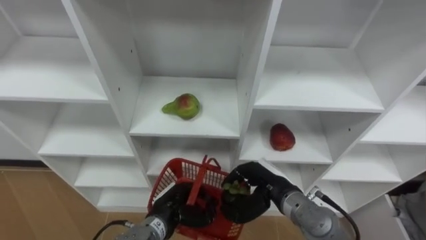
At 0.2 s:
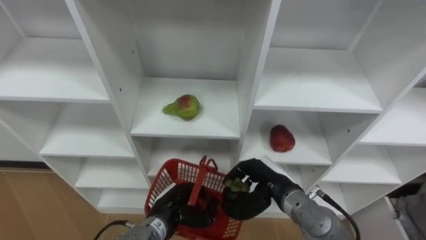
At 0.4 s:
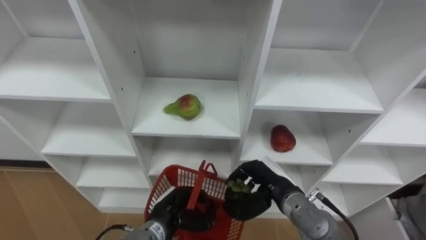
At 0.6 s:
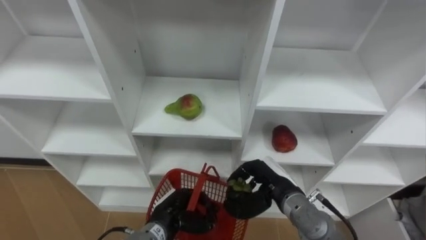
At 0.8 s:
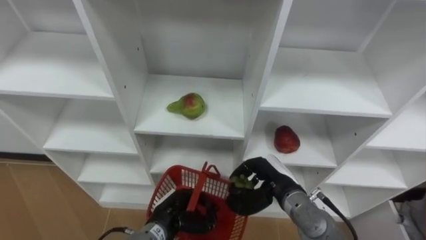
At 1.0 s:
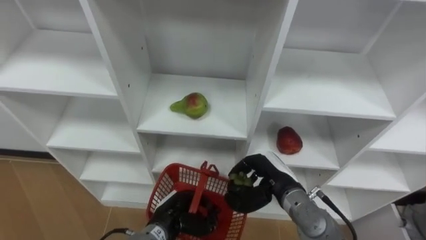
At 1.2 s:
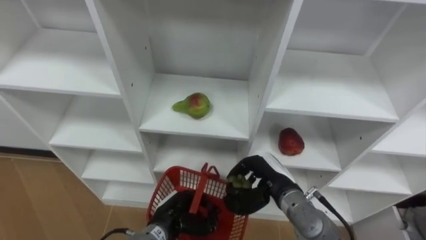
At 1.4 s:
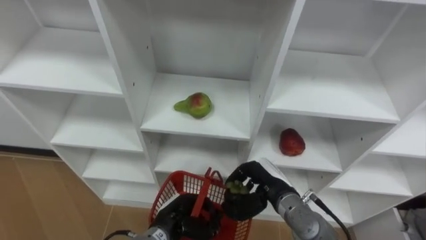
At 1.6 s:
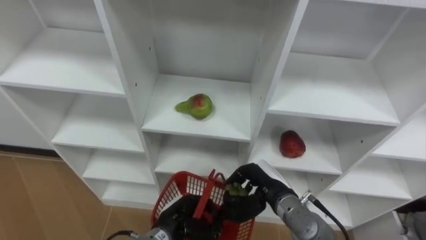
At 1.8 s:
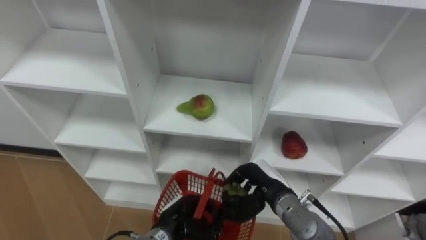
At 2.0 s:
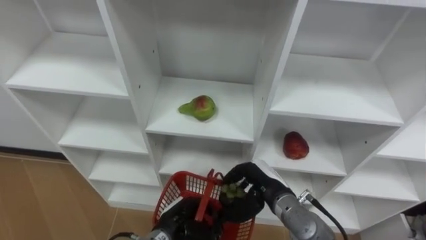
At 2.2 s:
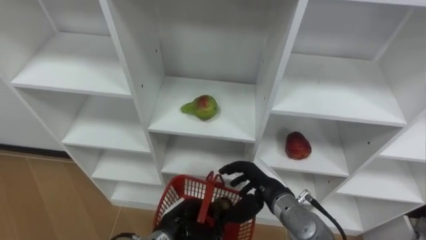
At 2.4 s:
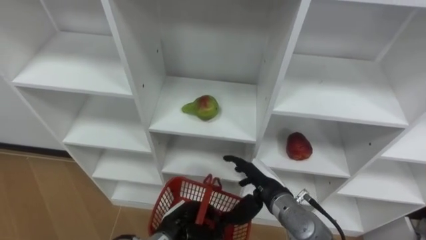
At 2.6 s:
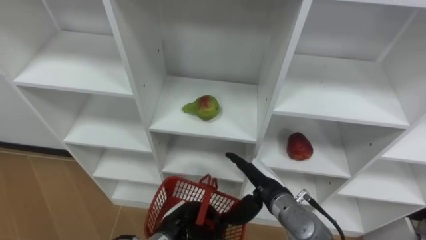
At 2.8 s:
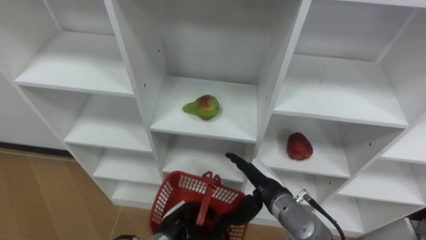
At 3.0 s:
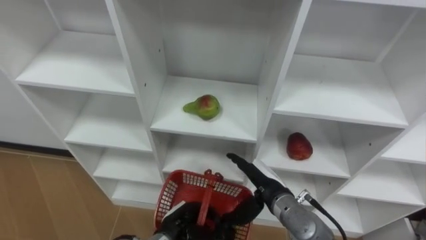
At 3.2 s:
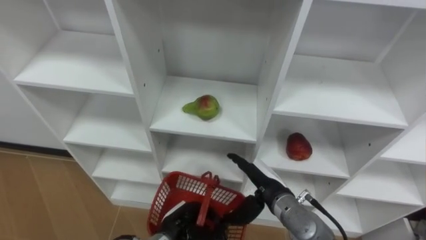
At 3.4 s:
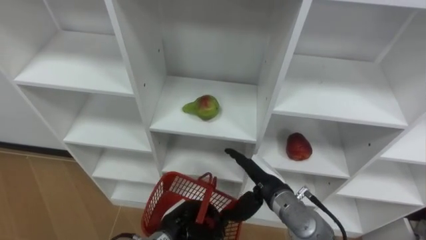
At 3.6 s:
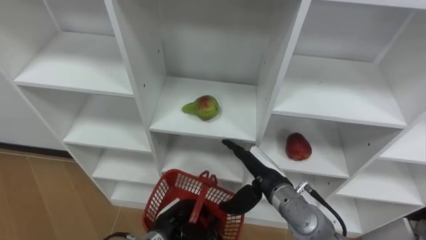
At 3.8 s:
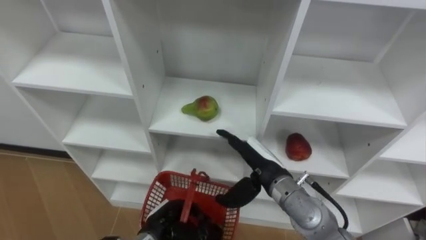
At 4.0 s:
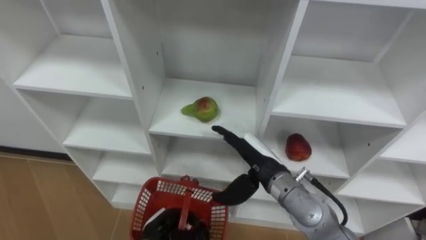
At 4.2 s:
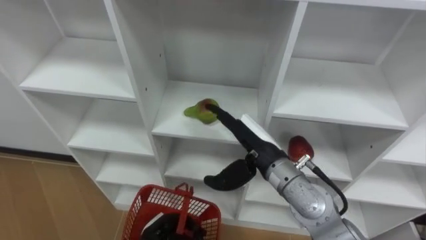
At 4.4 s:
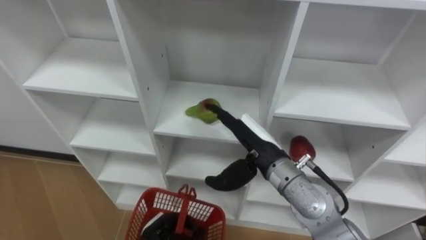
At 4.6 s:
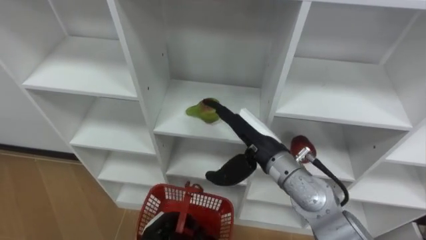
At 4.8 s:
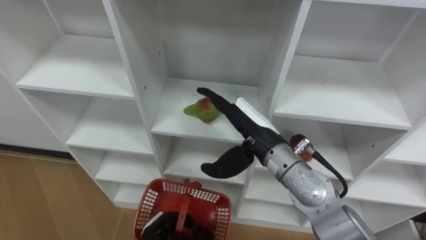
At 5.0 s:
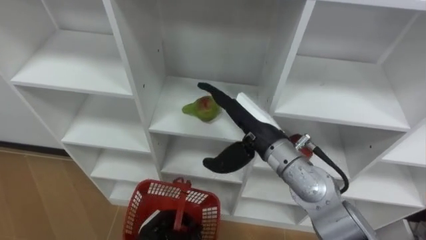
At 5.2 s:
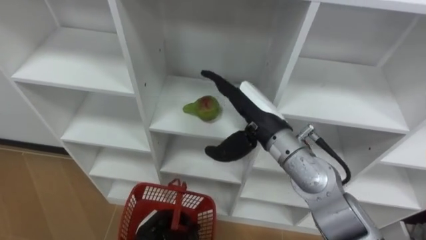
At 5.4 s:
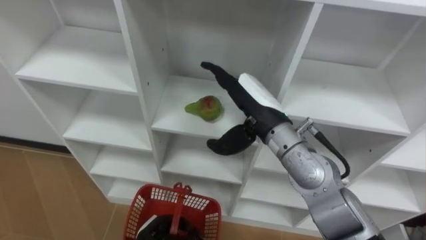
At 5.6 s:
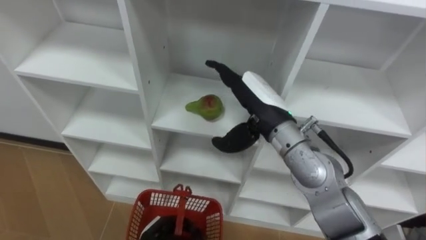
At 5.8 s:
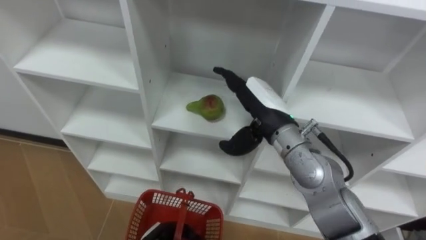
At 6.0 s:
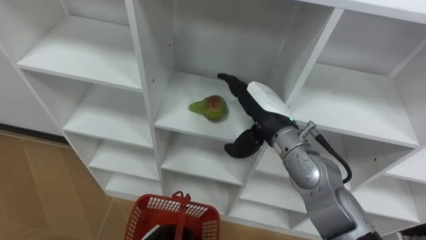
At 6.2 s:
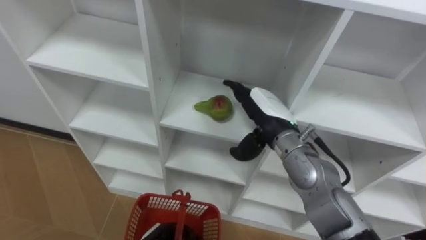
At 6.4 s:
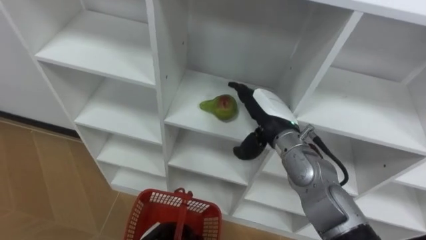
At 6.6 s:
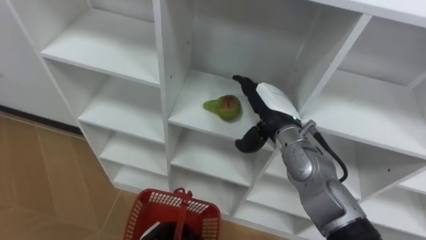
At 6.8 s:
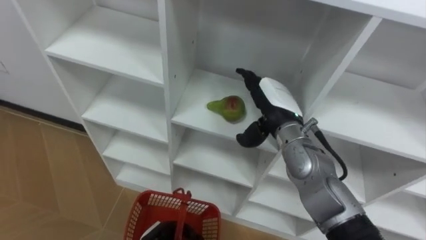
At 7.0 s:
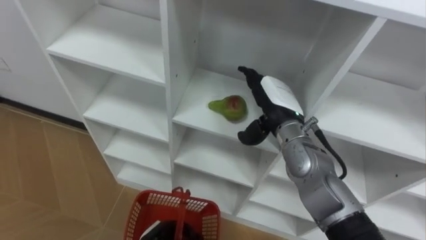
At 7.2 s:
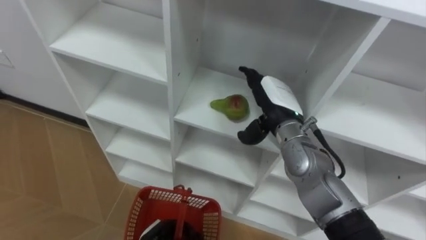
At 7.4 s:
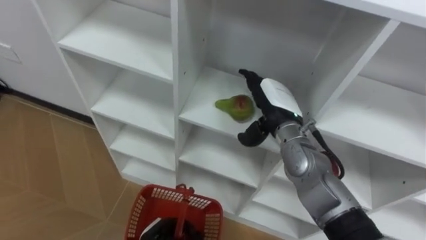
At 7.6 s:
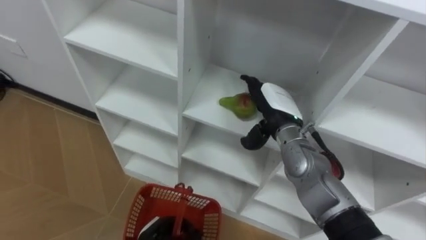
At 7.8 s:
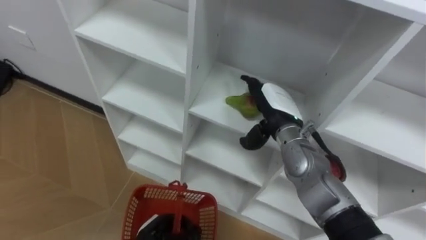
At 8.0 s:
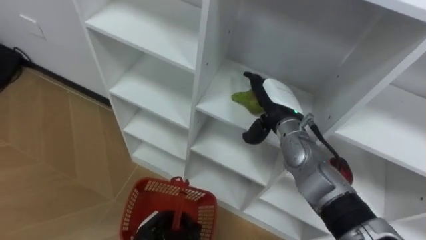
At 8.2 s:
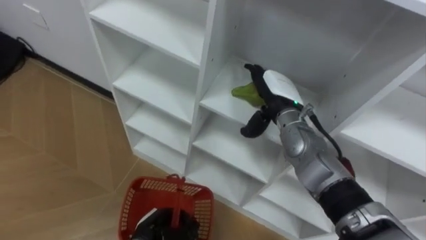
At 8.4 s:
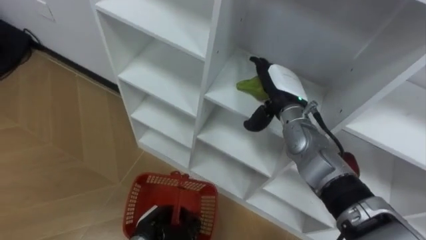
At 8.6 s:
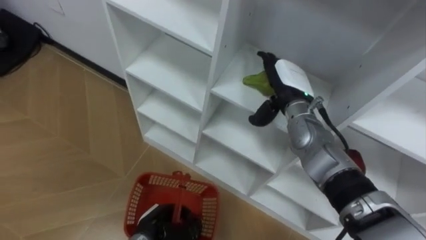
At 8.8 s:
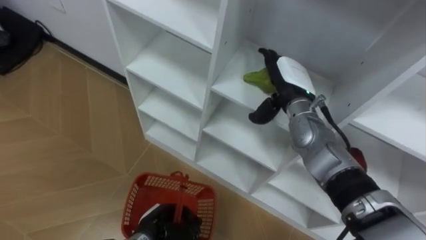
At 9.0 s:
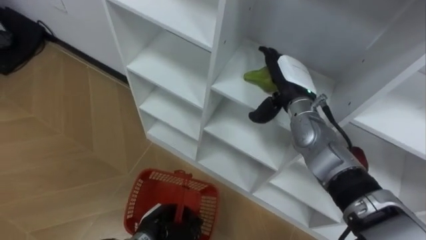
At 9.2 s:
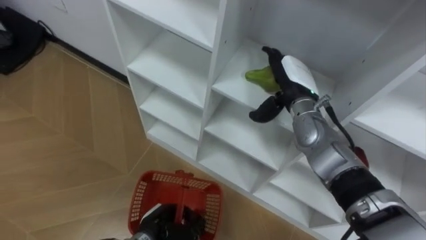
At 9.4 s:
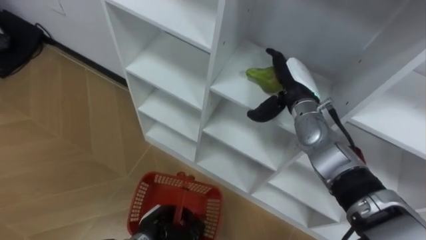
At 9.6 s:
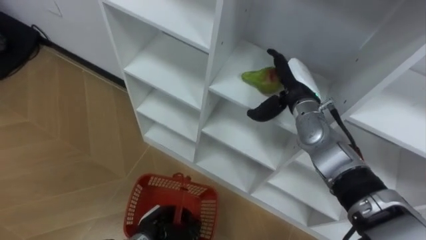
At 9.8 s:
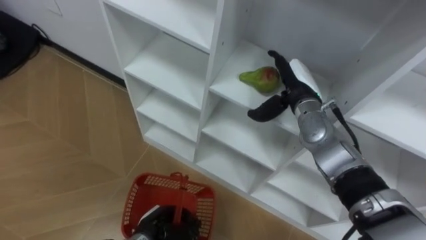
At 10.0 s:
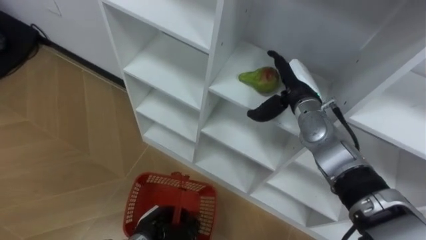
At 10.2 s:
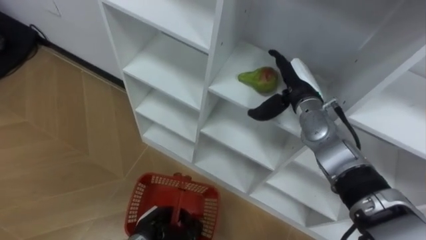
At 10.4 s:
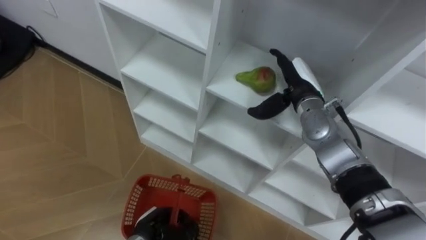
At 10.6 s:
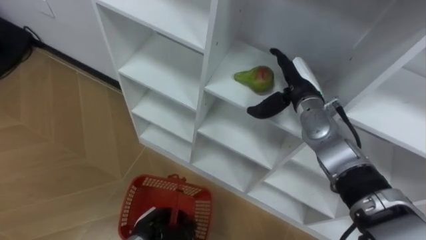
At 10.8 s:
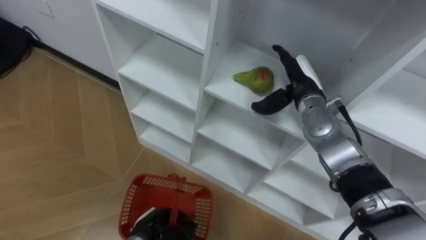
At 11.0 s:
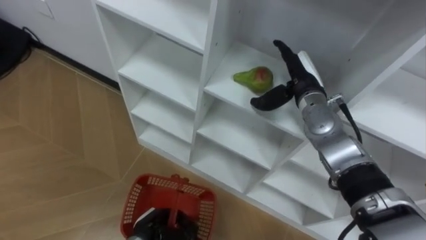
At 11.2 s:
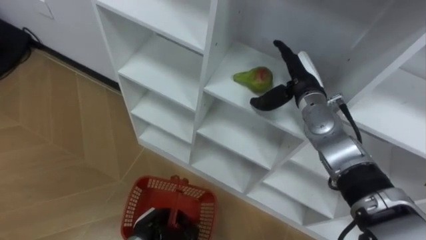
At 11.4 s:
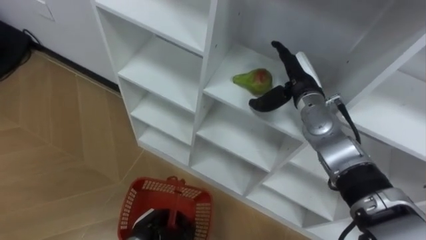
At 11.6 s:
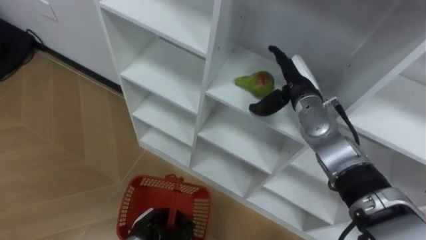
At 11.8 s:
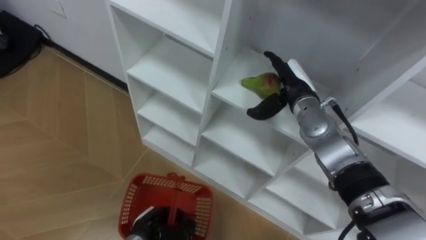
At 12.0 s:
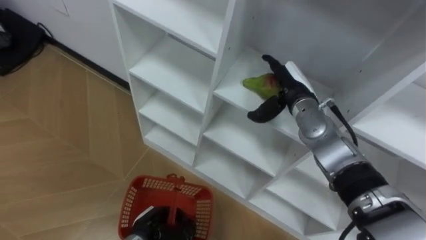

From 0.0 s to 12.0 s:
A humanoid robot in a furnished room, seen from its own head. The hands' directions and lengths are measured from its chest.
Task of the whole recording: Hold the basket and collect the fruits from 3 different cells of the closet into it.
From 1.6 s to 3.0 s: The right hand opens.
From 3.0 s to 4.4 s: The left hand ends up about 5 cm from where it was. Meanwhile the right hand moves upward, some 10 cm.
From 4.4 s to 6.0 s: The right hand changes place by roughly 5 cm.
From 6.0 s to 7.6 s: The right hand shifts by roughly 5 cm.
From 7.6 s to 9.0 s: The right hand moves roughly 5 cm.
From 9.0 s to 10.4 s: The hands make only small movements.

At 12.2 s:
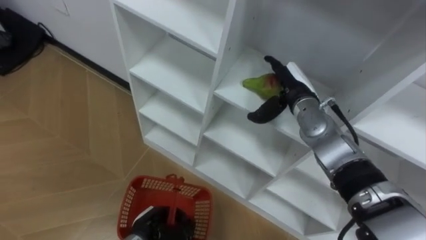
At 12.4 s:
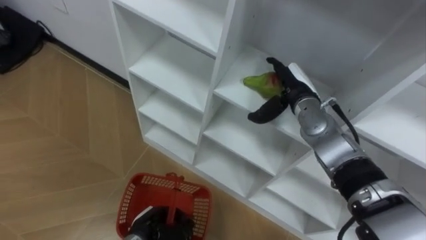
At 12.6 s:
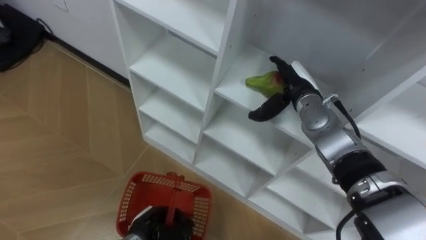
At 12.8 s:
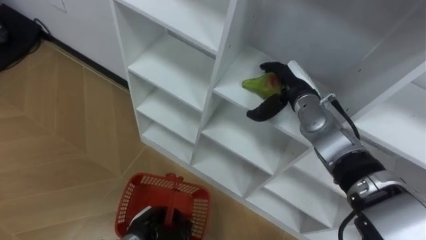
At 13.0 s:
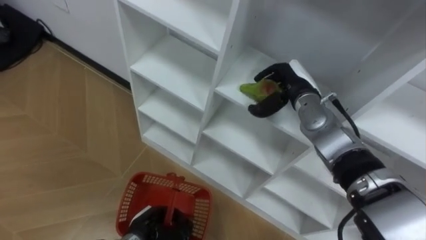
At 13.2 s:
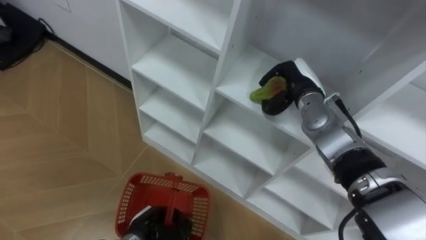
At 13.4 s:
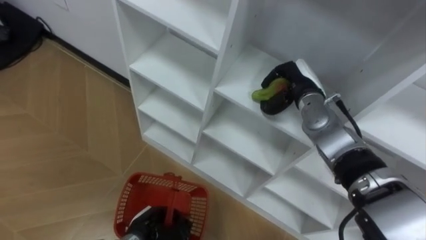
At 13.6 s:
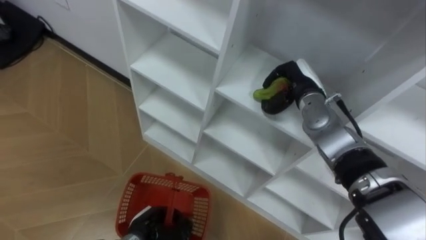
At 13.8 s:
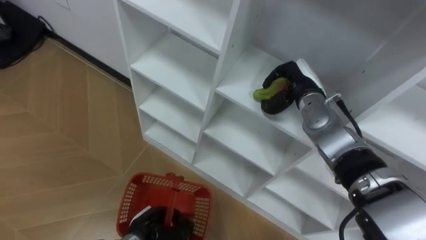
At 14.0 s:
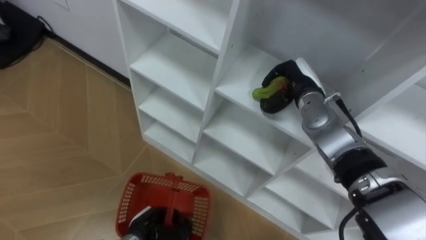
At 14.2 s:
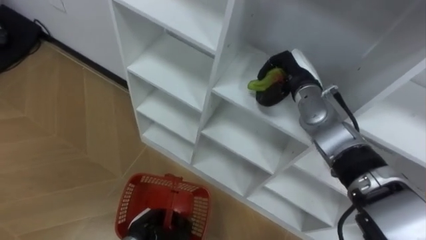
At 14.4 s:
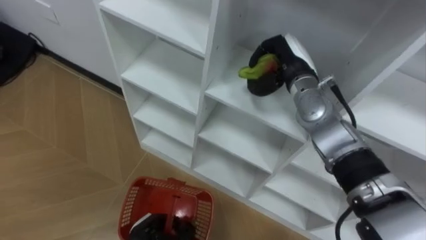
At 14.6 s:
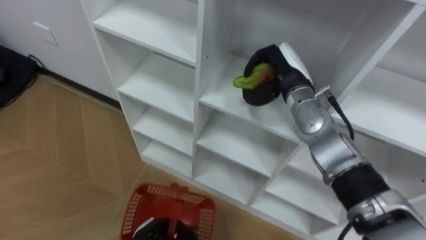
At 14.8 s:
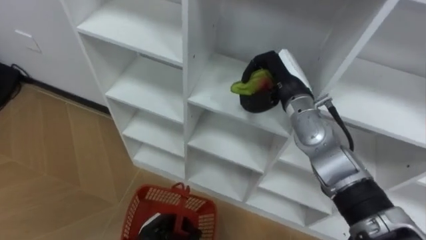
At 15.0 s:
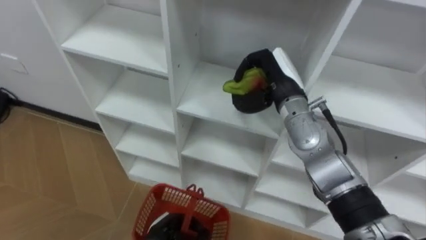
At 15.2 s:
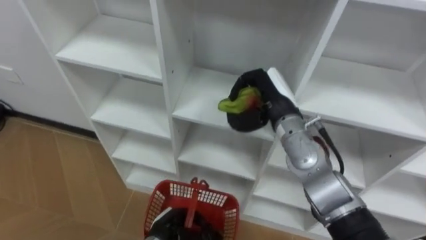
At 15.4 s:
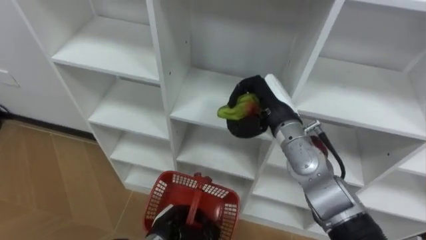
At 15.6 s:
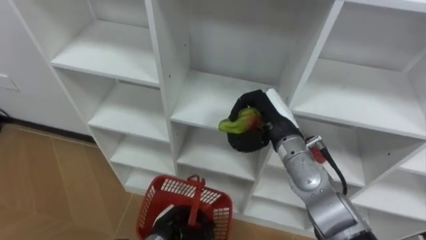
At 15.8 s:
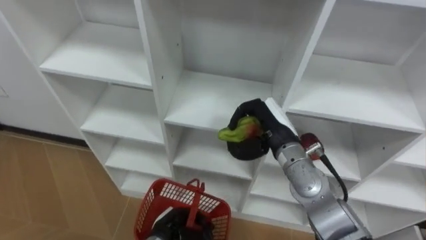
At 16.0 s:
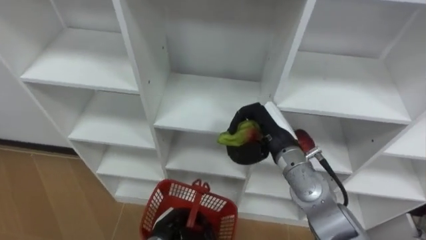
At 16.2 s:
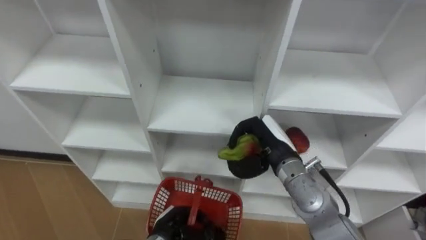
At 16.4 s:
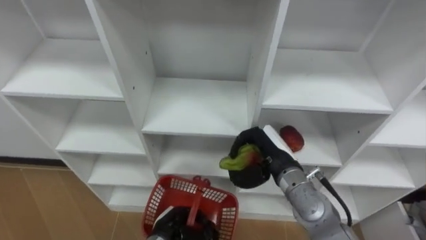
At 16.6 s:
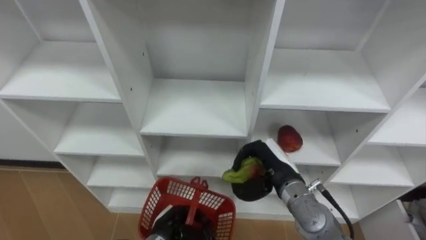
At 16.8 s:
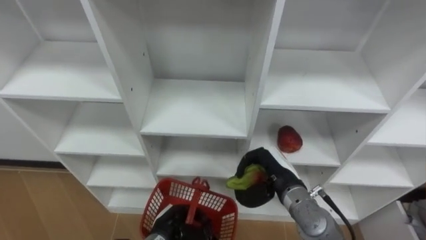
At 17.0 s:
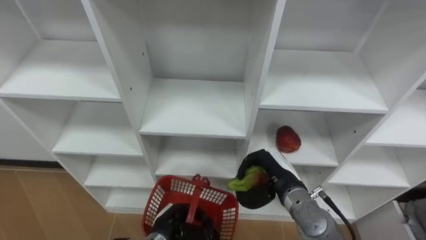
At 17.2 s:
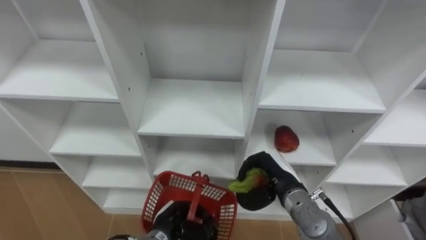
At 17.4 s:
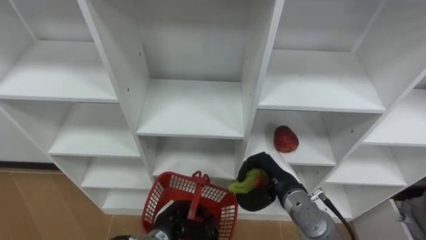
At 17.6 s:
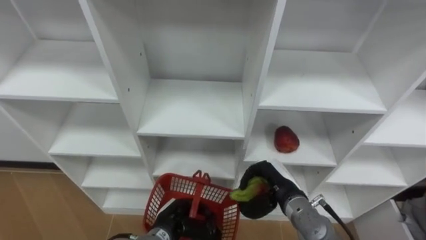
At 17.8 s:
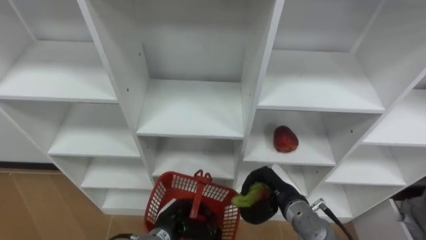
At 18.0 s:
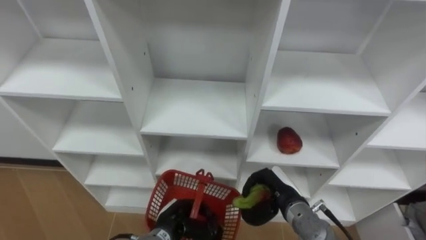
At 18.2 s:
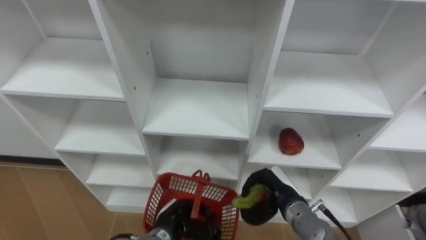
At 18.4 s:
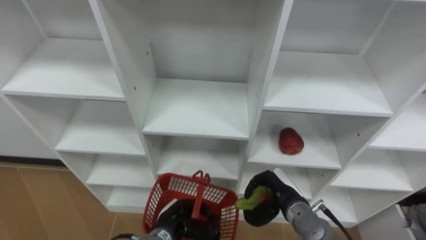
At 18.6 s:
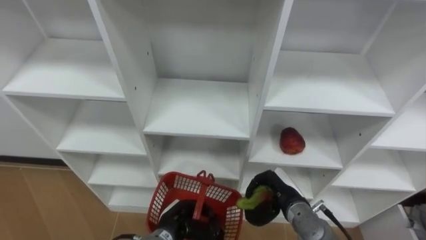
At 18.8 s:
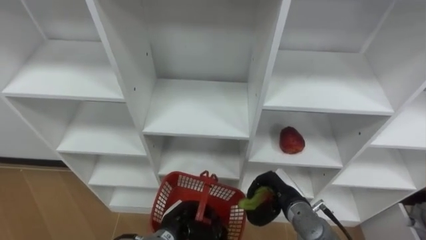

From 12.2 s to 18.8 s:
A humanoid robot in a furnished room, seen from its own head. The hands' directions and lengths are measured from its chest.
Task of the whole recording: Hold the basket and collect the fruits from 3 different cells of the closet into it.
From 12.2 s to 13.8 s: The right hand closes.
From 13.8 s to 15.4 s: The right hand goes roughly 10 cm backward and to the left.
From 15.4 s to 17.2 s: The right hand goes some 15 cm downward and backward.
From 17.2 s to 18.8 s: The right hand heads downward, covering about 5 cm.
